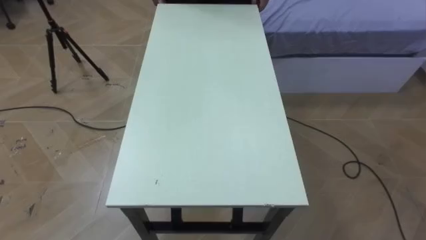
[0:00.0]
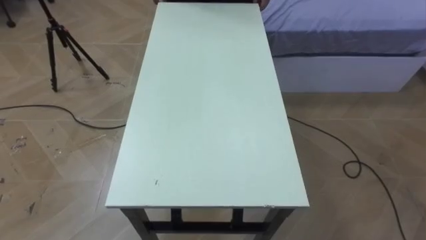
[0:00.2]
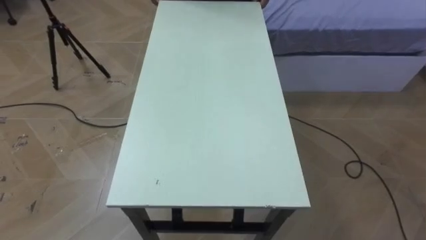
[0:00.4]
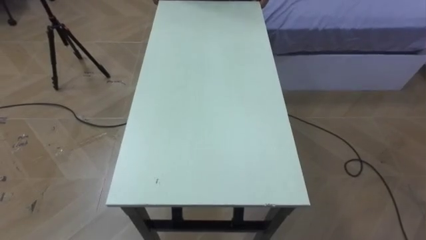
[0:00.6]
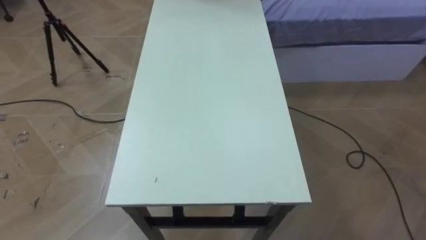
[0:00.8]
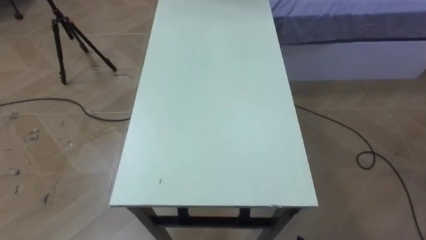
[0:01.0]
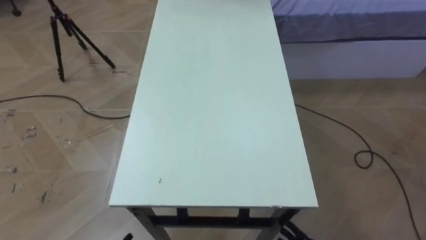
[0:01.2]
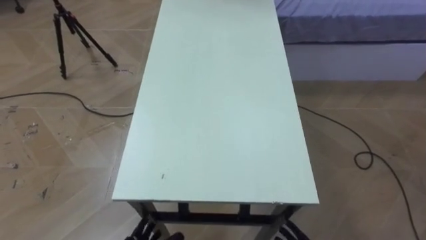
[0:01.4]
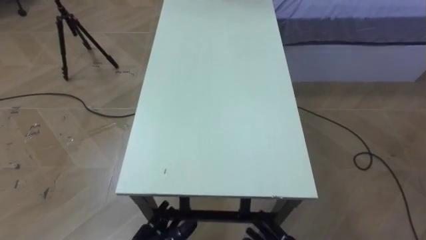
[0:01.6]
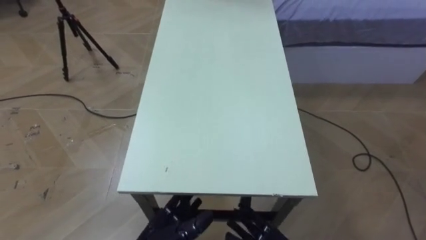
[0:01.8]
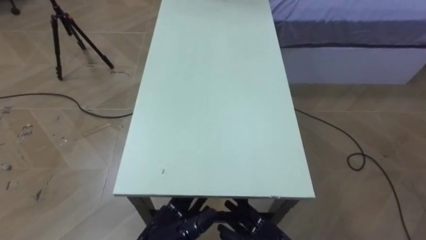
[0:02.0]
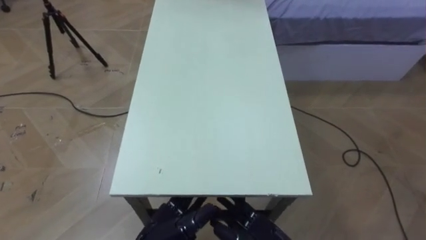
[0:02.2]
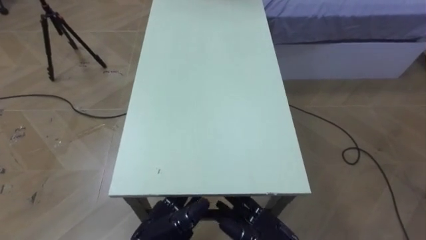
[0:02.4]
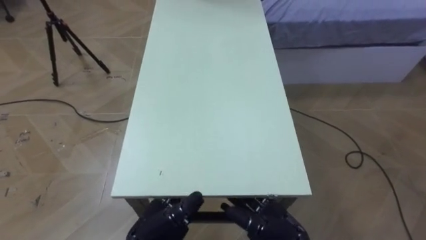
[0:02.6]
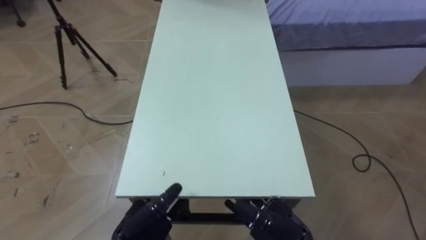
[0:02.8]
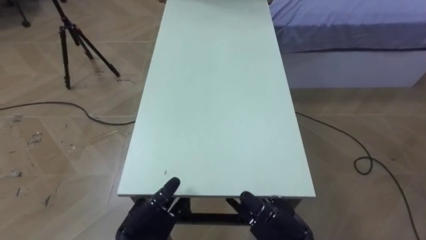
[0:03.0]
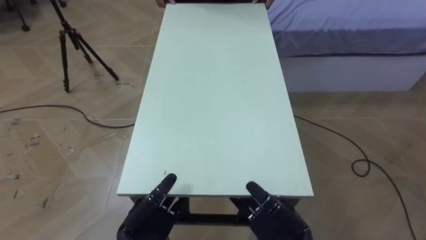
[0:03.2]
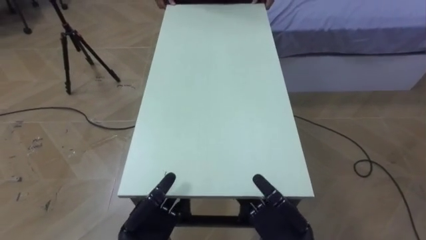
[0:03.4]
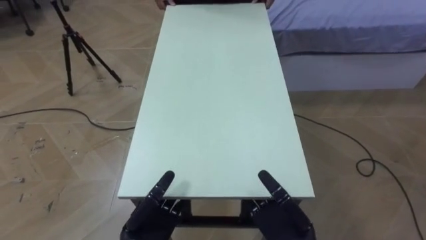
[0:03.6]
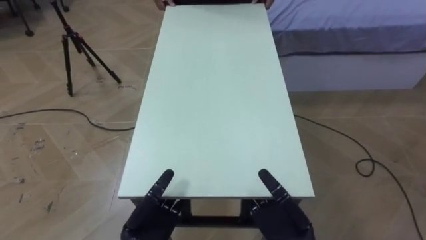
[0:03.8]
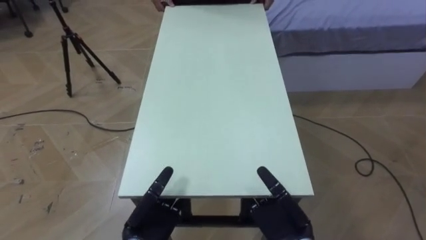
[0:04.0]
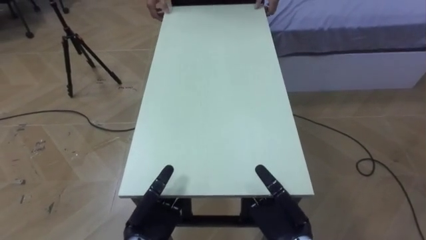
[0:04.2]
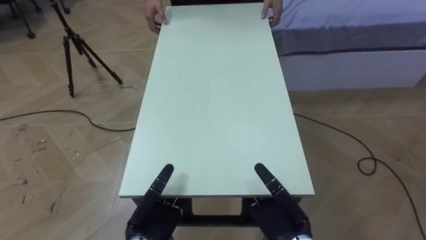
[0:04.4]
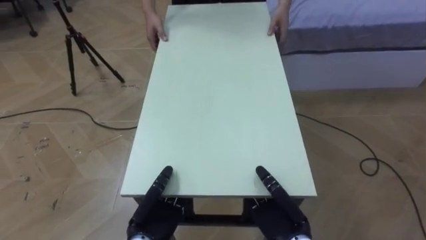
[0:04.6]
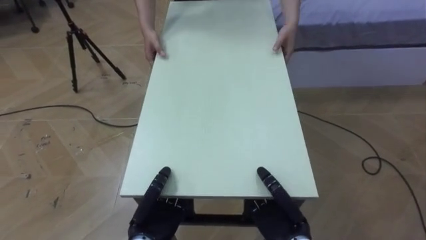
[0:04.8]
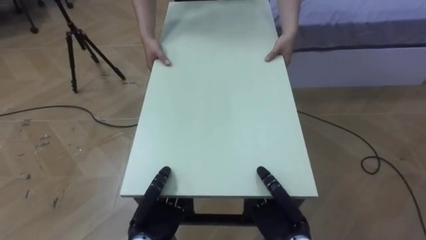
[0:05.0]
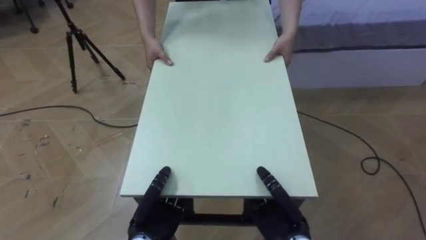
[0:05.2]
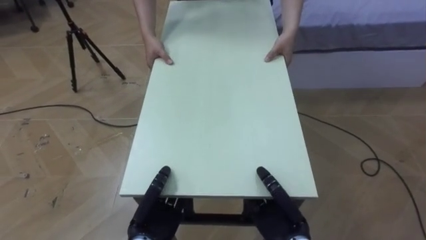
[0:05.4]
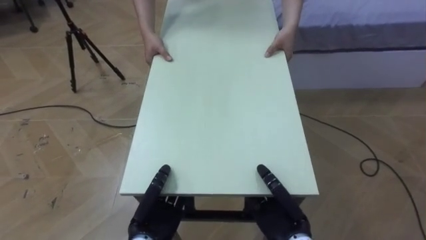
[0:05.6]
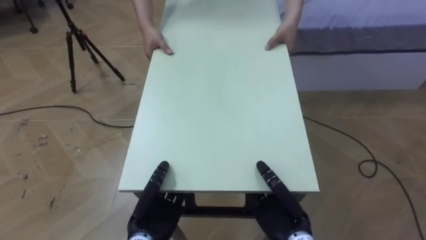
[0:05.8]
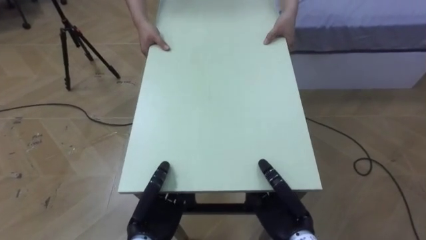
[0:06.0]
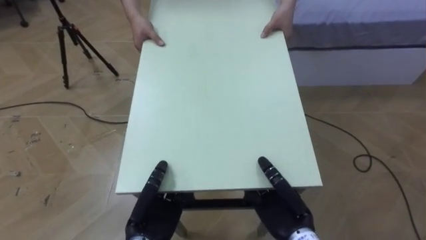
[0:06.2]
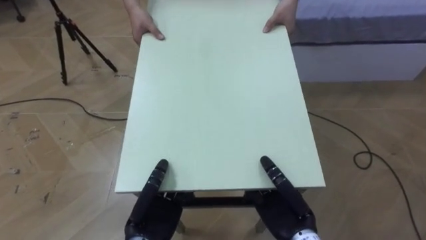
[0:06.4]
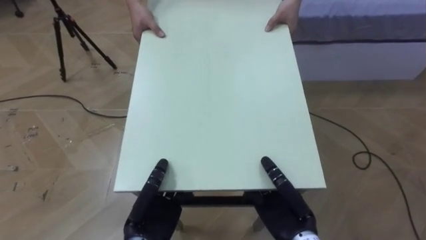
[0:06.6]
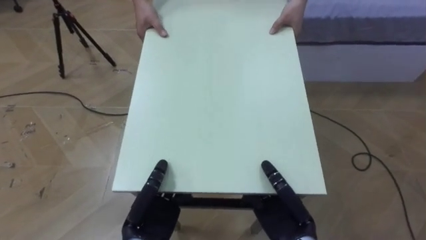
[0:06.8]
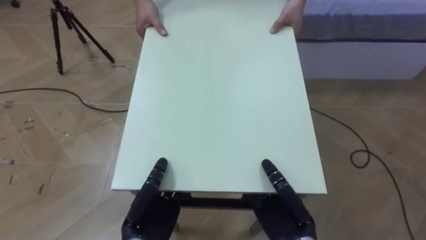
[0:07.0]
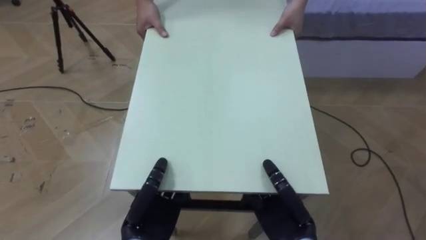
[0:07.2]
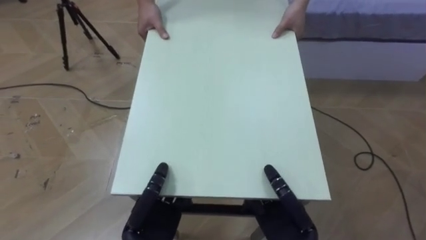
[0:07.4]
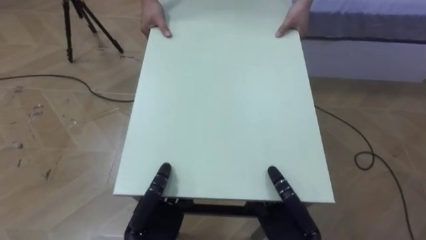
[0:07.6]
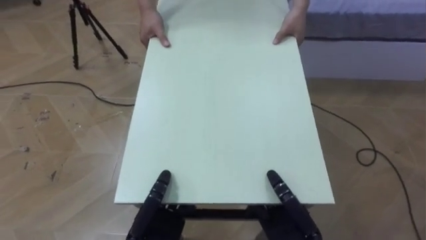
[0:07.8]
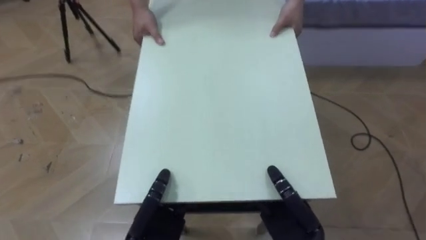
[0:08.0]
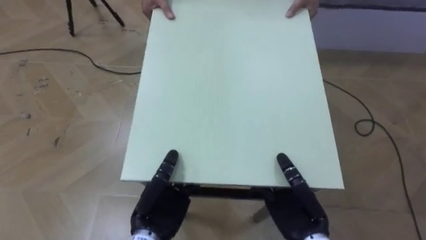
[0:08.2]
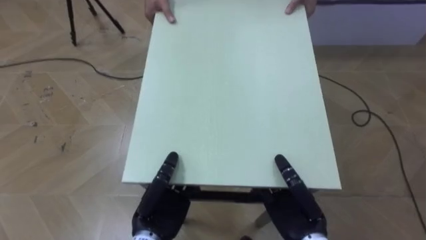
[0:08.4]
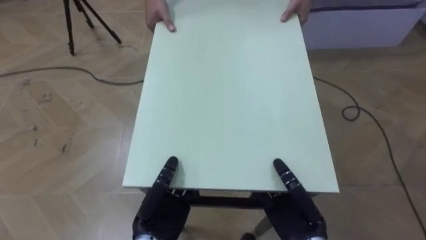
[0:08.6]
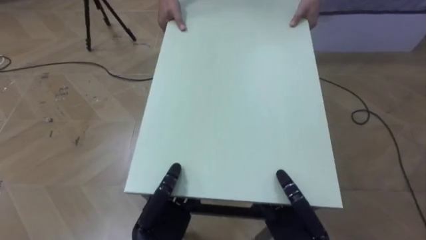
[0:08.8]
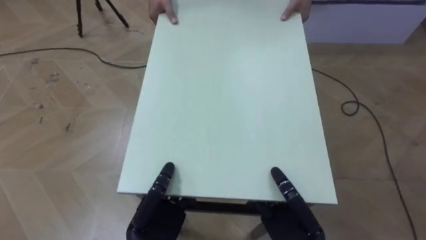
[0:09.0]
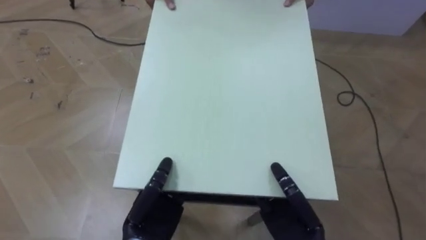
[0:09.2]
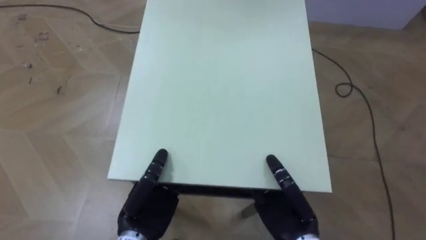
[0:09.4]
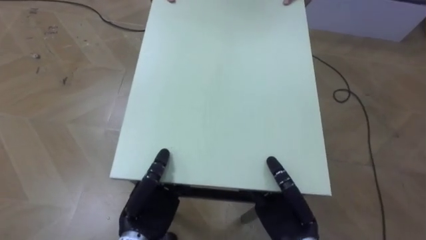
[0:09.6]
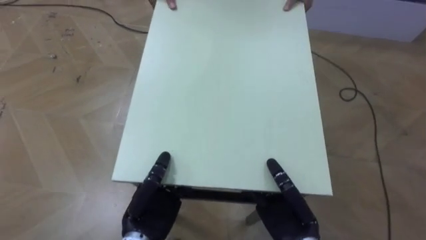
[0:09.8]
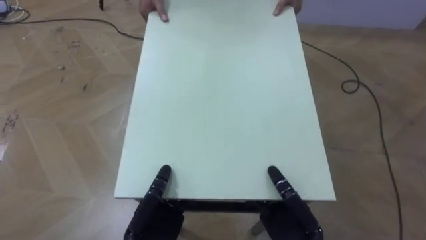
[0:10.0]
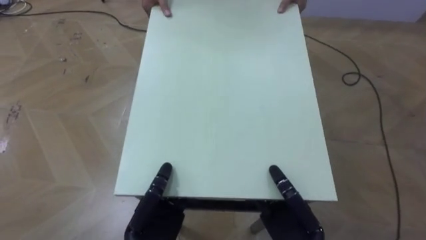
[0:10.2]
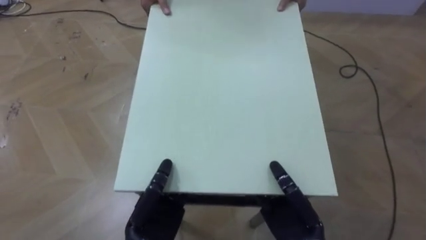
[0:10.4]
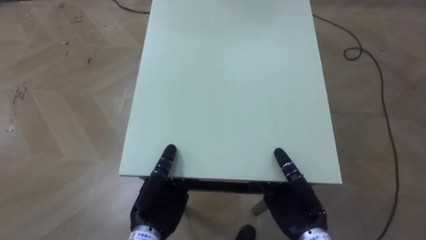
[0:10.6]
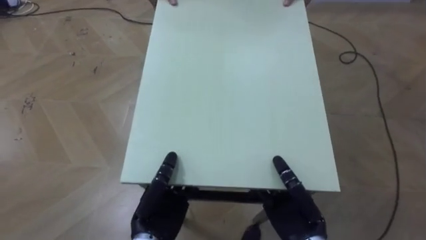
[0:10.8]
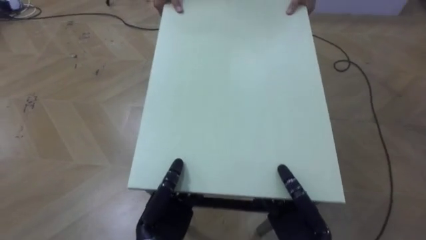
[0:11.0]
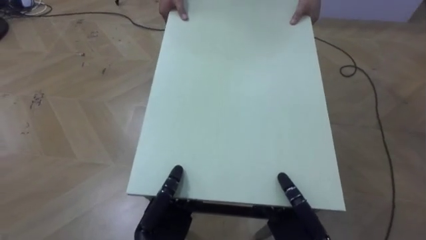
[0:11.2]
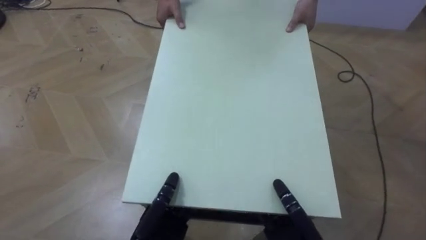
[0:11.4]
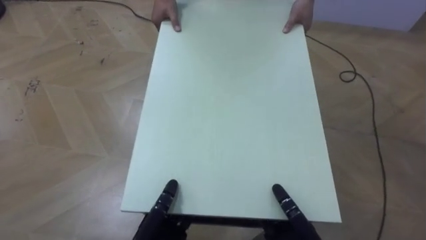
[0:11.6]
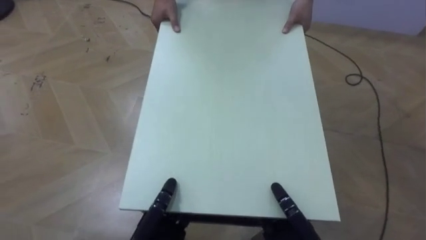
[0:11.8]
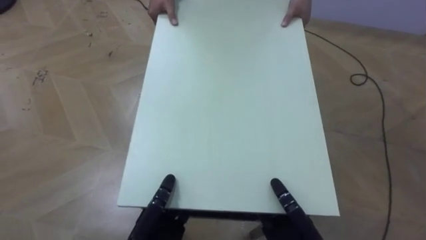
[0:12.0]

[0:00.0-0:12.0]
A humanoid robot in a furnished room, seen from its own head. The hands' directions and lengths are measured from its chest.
Task of the whole recording: Move the table to the back left with someone.
0:04.4 to 0:06.0: The left hand closes its fingers. Meanwhile the right hand closes up.

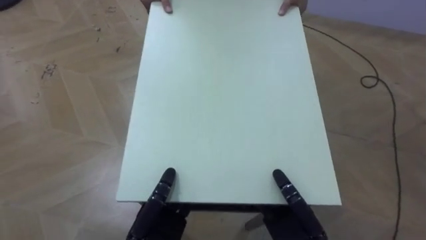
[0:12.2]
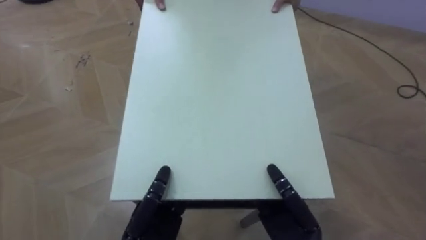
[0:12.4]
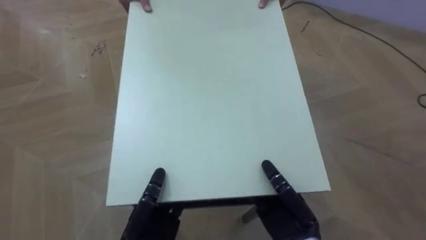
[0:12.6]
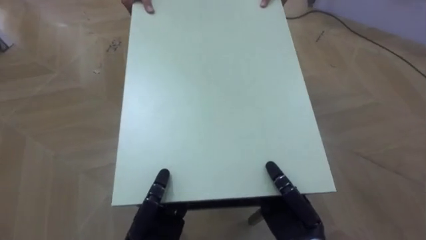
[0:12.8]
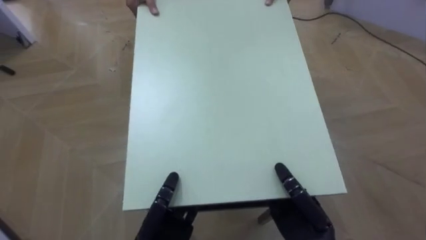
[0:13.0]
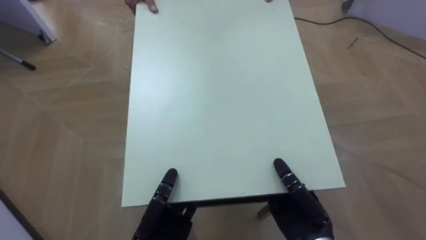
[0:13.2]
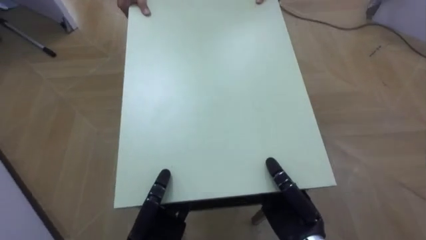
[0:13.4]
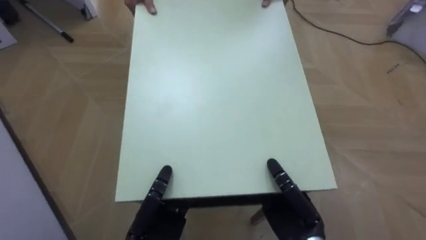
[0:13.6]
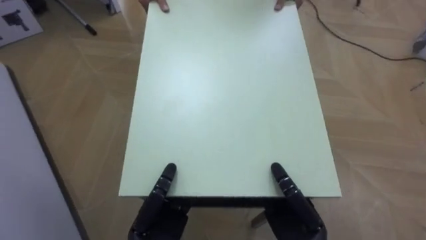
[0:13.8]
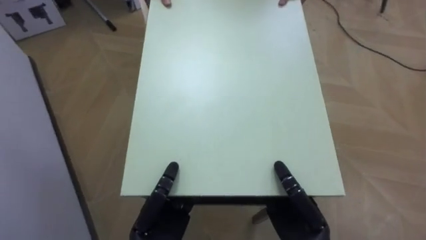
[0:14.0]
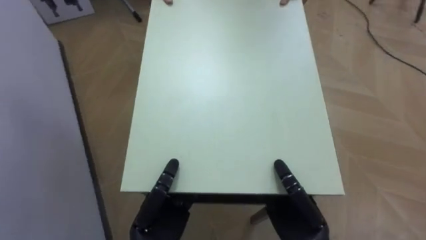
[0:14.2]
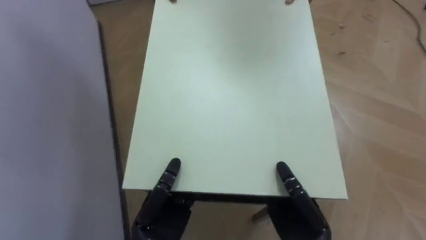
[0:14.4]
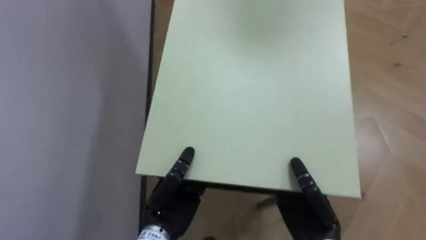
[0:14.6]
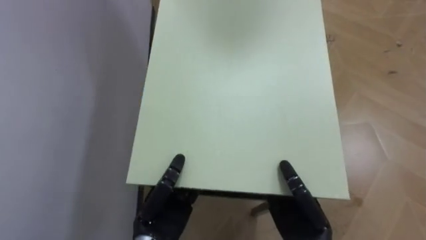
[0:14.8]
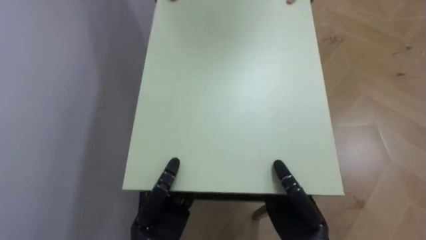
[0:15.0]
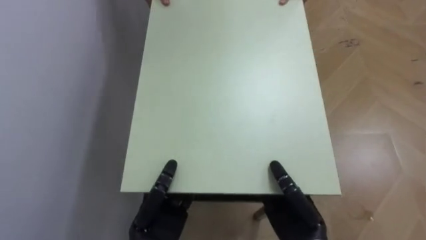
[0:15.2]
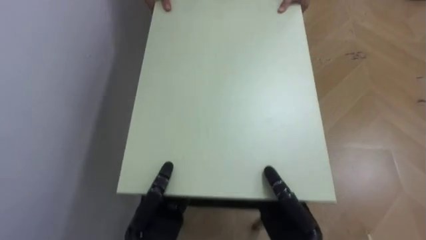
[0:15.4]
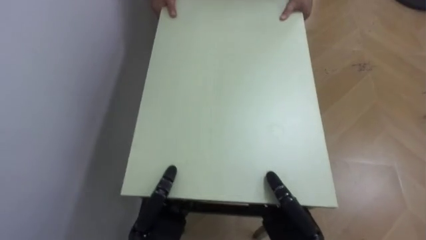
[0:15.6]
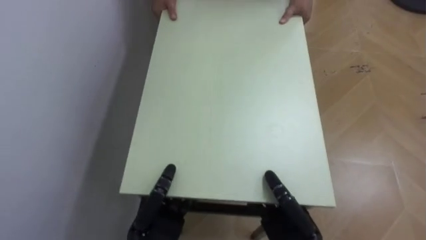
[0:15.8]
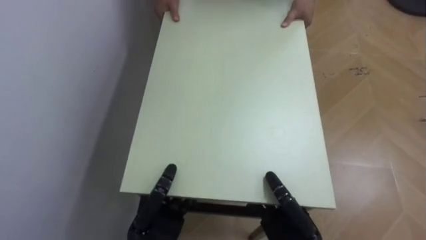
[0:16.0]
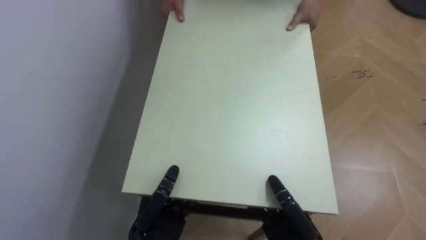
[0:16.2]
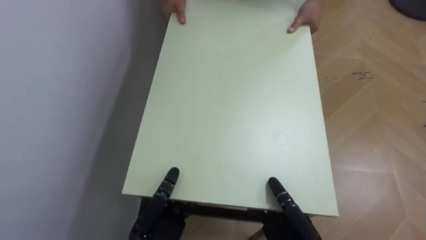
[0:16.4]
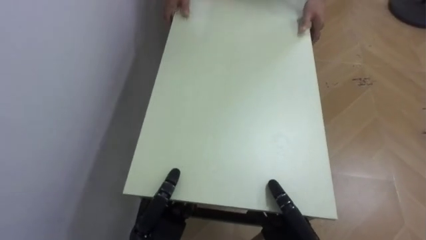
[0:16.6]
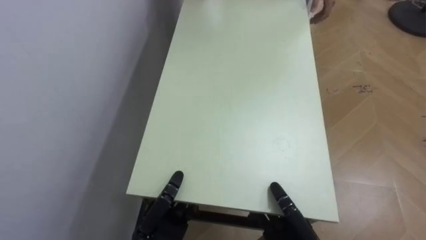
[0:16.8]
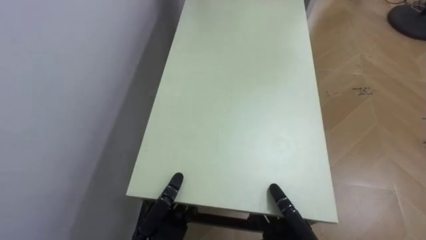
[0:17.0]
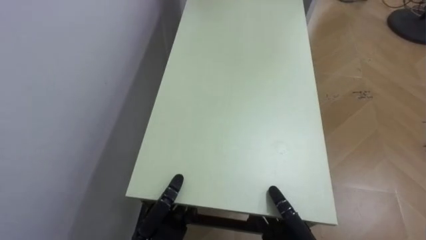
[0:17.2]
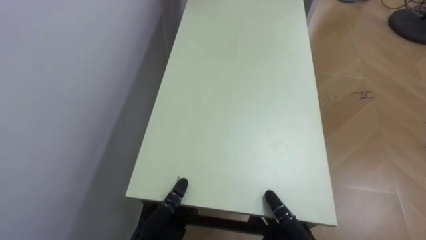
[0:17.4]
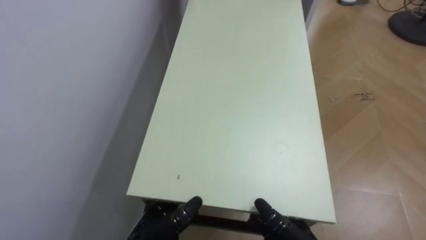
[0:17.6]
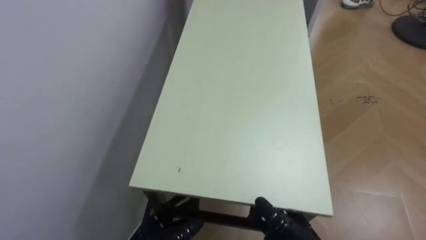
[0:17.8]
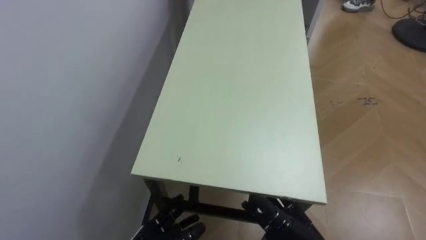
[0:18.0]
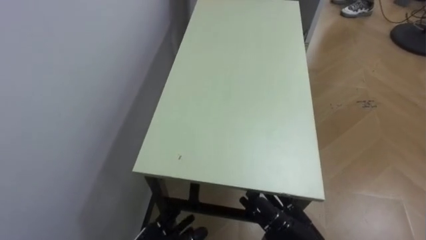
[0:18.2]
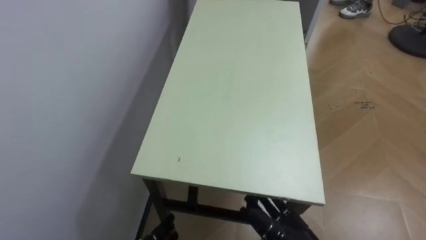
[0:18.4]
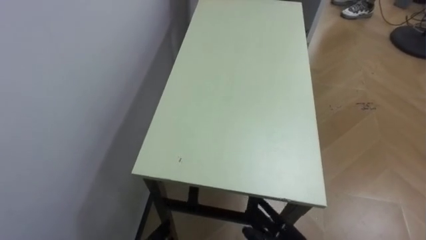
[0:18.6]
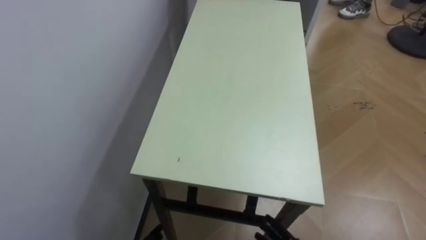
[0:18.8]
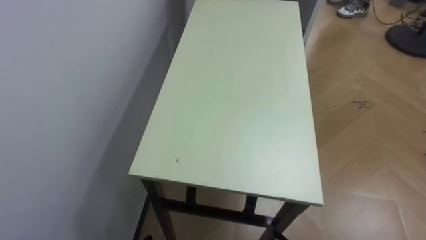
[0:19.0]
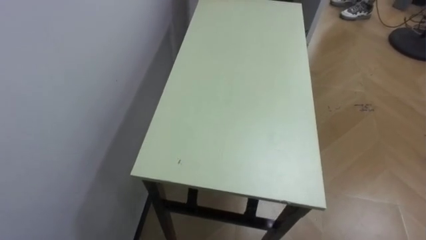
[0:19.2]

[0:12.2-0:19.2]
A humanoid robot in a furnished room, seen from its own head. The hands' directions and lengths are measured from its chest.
Task of the whole recording: Move the table to the back left with someone.
0:12.2 to 0:13.6: The robot's body swings approximately 35 degrees to its left.
0:13.6 to 0:15.0: The robot turns to its left by some 40 degrees.
0:16.4 to 0:17.8: The right hand opens.
